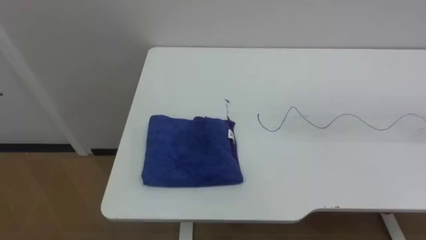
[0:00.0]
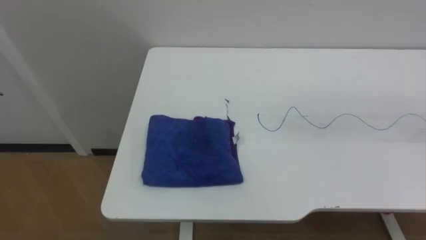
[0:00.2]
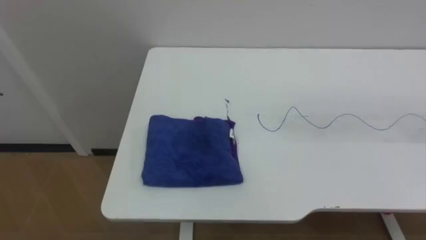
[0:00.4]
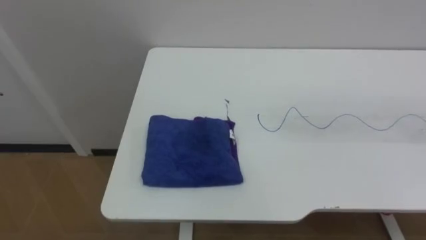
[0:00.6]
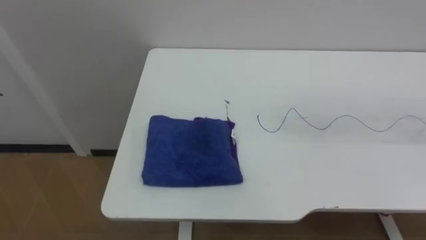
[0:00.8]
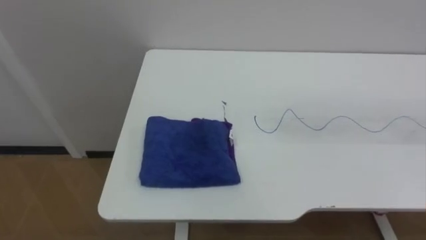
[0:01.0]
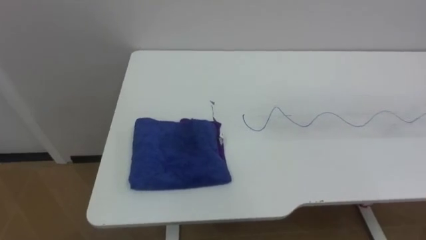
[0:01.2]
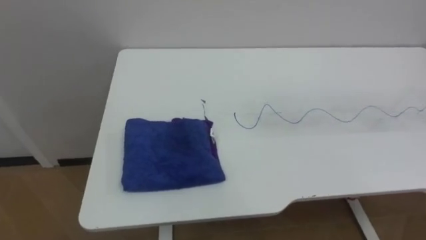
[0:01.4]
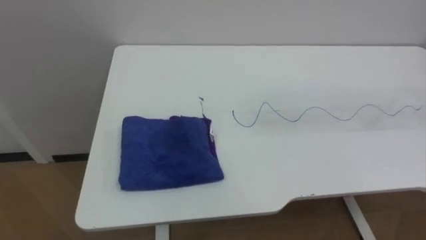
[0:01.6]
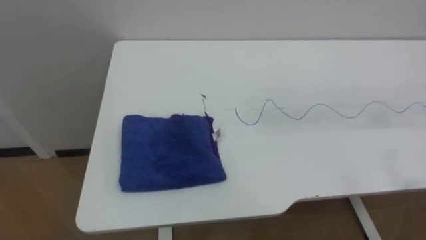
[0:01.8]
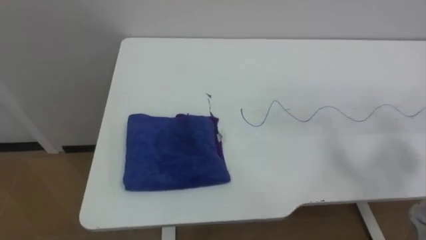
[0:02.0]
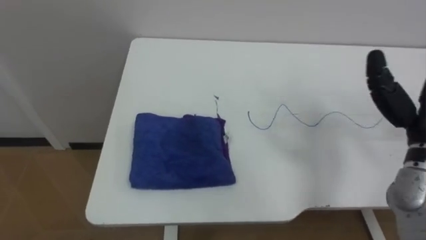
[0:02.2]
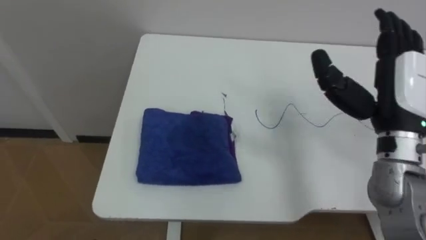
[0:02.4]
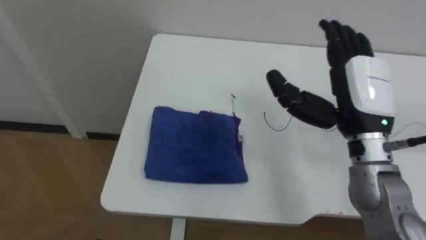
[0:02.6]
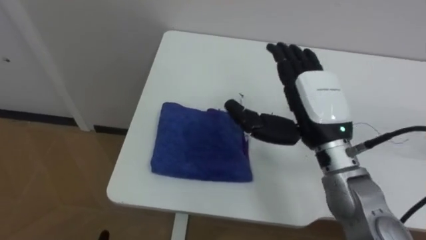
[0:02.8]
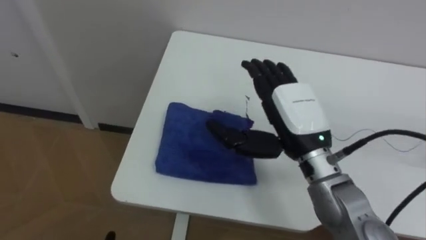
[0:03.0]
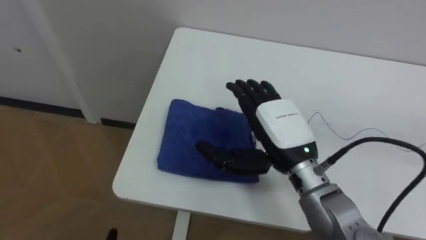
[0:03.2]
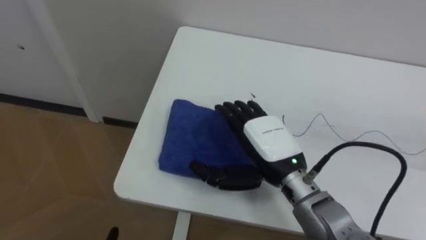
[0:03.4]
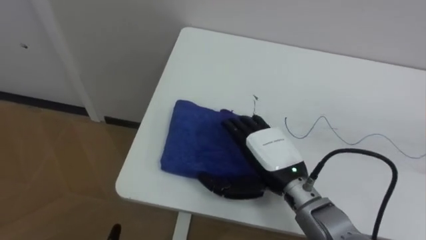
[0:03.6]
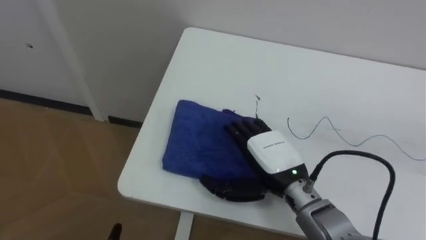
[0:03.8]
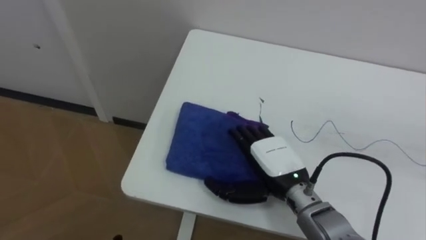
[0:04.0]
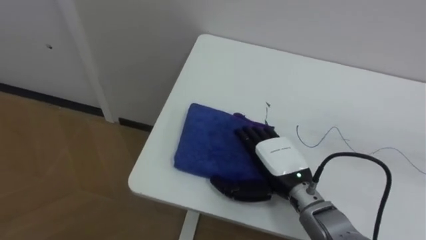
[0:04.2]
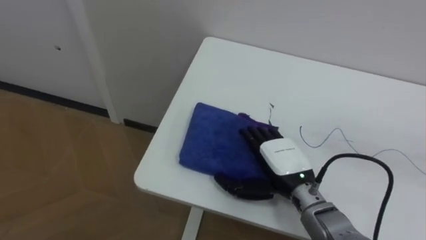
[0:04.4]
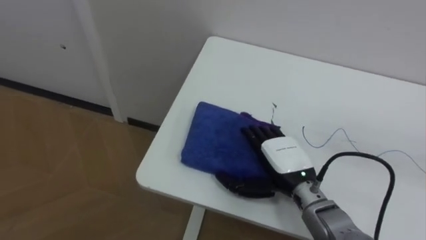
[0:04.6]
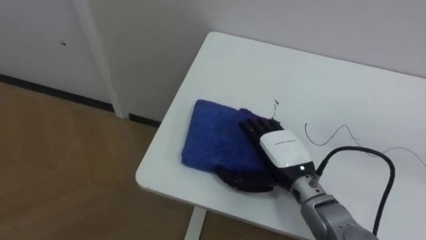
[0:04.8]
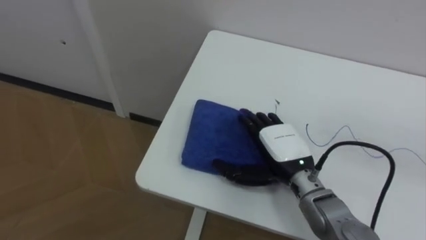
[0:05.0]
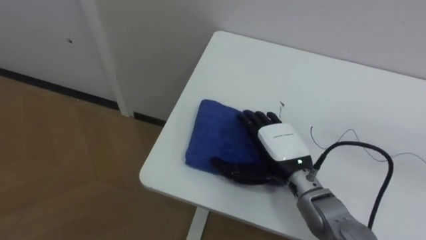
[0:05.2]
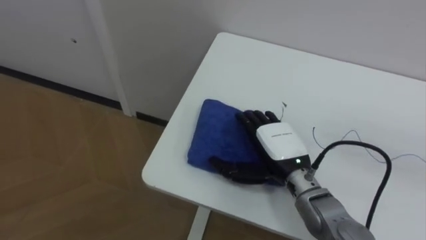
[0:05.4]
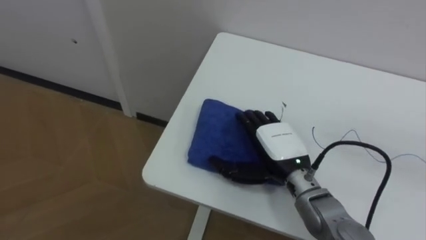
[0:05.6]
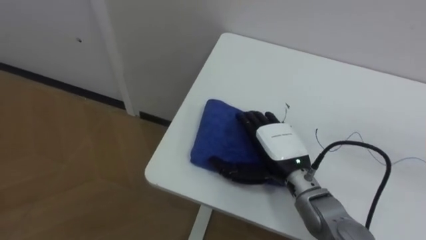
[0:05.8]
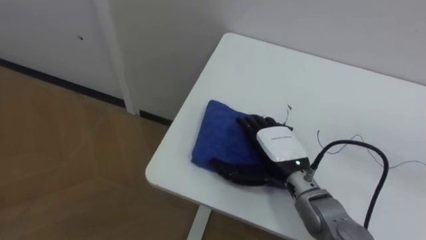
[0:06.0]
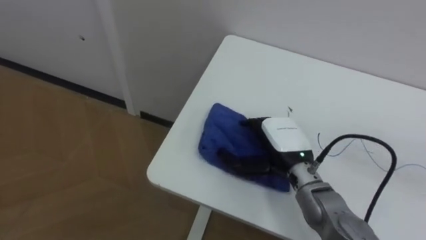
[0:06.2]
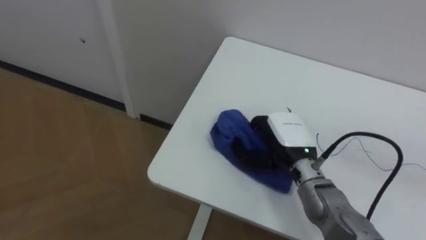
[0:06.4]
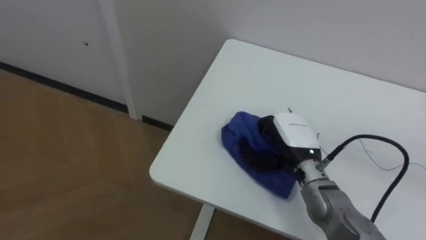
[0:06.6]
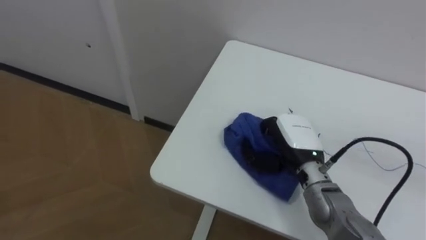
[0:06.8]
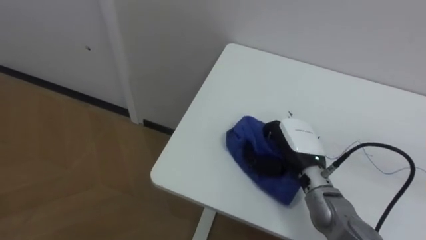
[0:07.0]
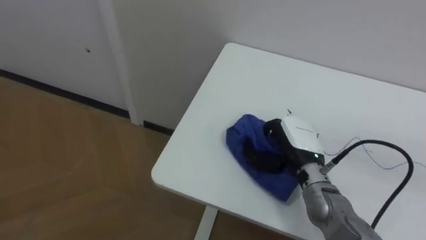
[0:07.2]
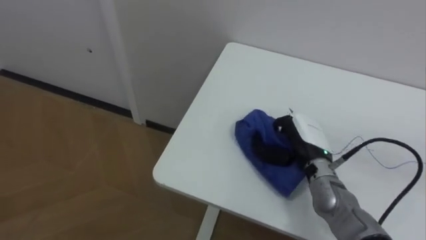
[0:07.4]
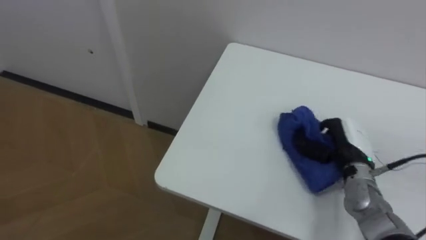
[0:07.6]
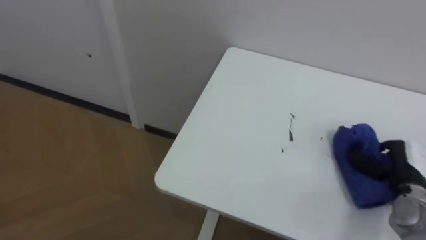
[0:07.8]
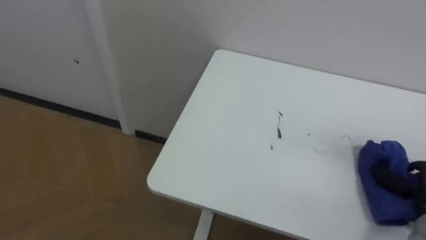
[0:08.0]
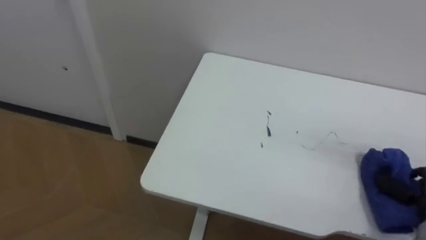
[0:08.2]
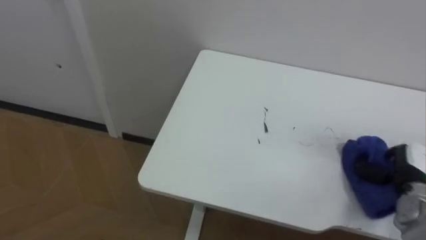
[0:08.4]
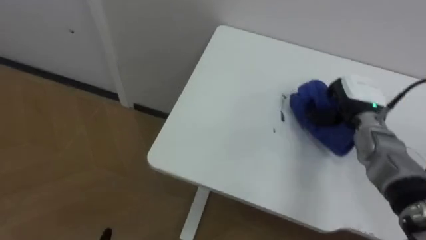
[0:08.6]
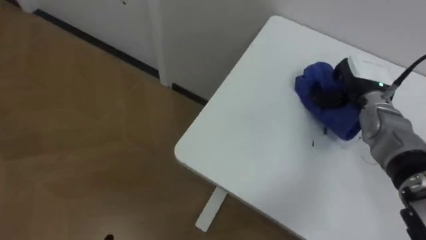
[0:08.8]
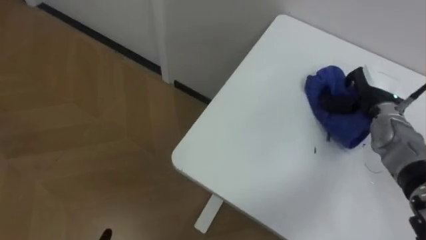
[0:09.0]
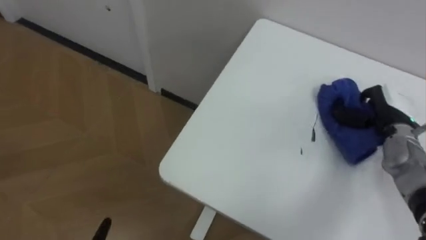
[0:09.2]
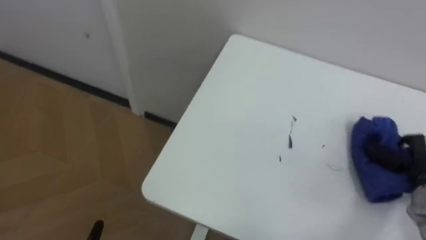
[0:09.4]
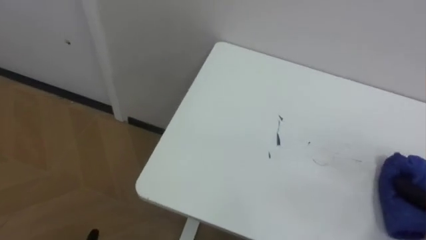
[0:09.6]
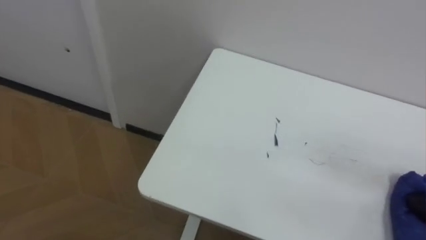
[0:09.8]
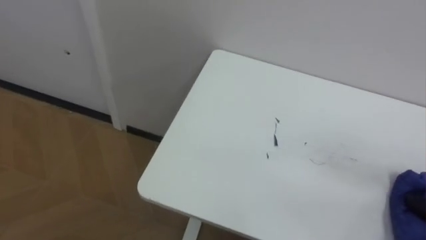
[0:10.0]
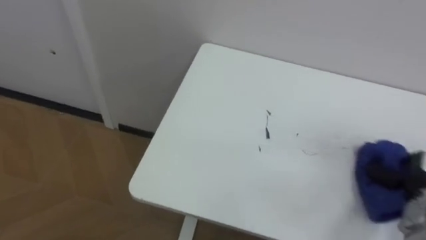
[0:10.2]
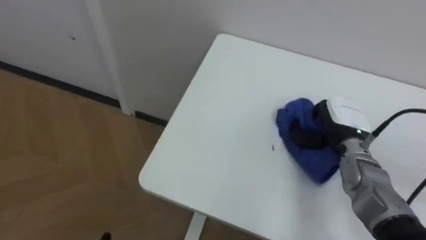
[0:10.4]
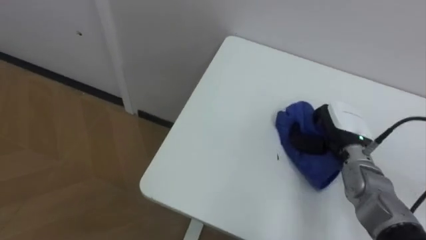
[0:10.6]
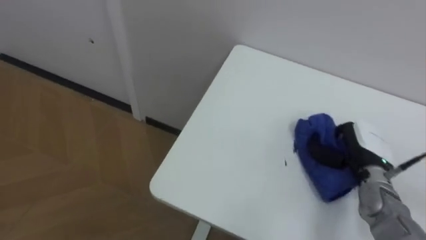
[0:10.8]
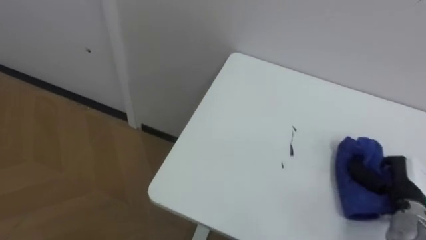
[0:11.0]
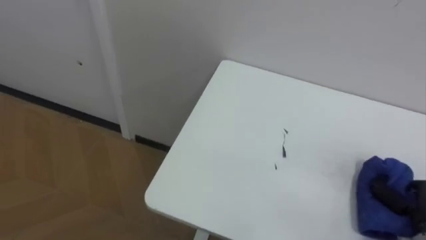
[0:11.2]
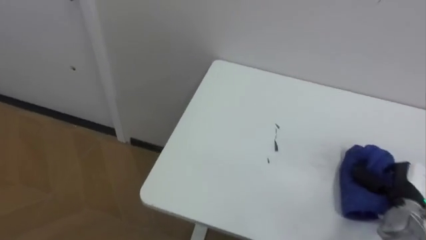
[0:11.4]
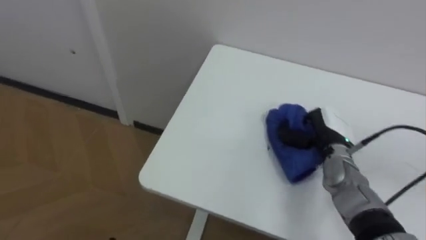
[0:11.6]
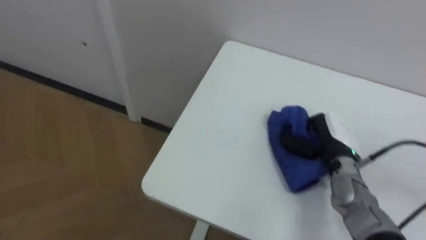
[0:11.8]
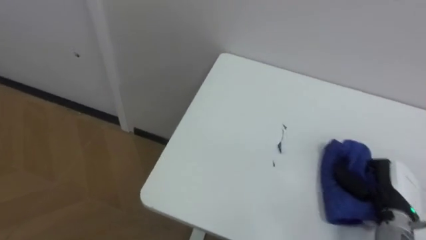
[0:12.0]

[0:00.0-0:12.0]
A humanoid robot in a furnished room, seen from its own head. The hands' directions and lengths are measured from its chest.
Task of the whole recording: Wipe the blue pen marks off the table with the rag.
0:03.0 to 0:04.4: The right hand goes some 15 cm downward.
0:06.0 to 0:07.6: The right hand goes about 15 cm to the right, and closes up.
0:10.4 to 0:12.0: The right hand swings left and right, about 15 cm each way, with 2 reversals.

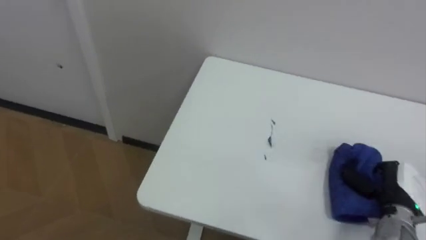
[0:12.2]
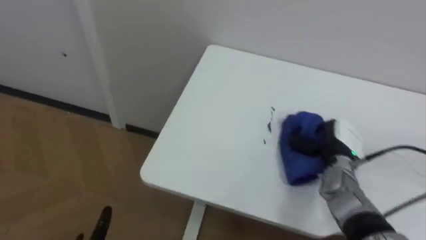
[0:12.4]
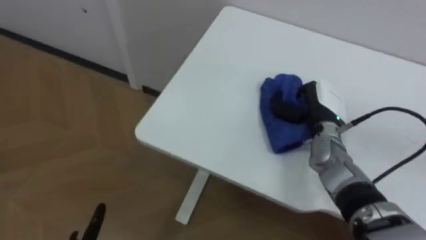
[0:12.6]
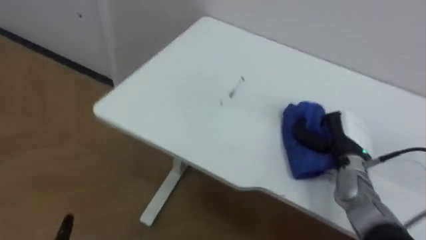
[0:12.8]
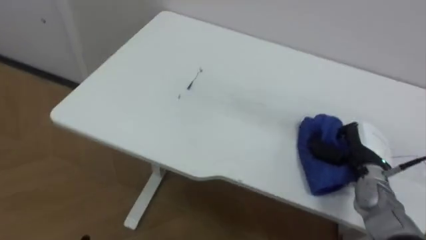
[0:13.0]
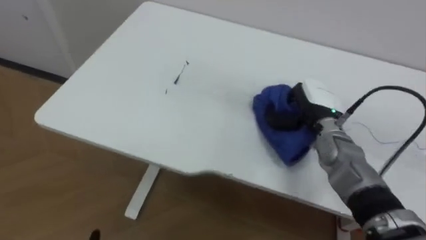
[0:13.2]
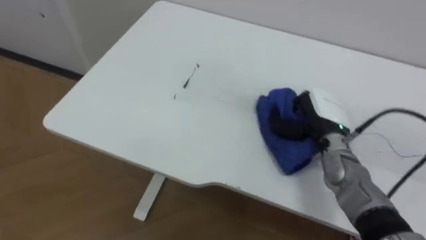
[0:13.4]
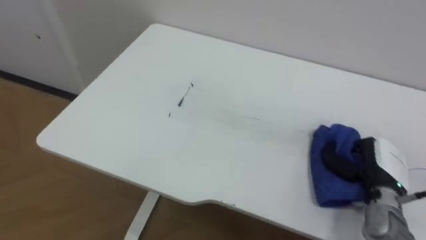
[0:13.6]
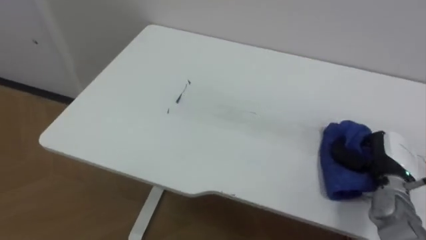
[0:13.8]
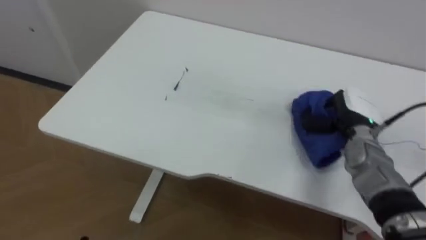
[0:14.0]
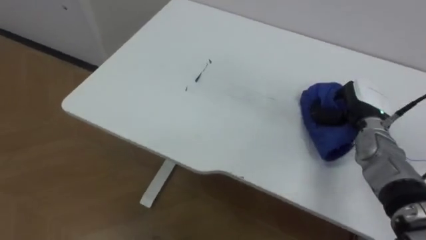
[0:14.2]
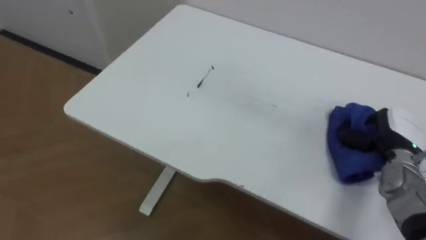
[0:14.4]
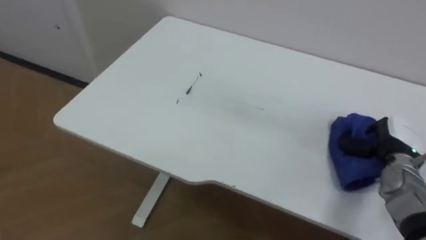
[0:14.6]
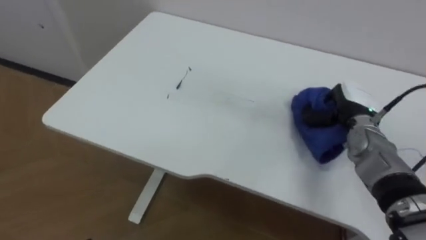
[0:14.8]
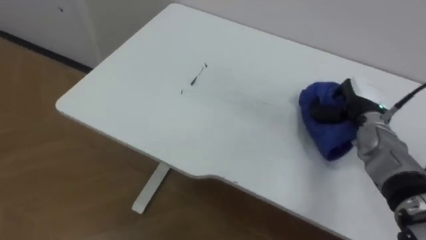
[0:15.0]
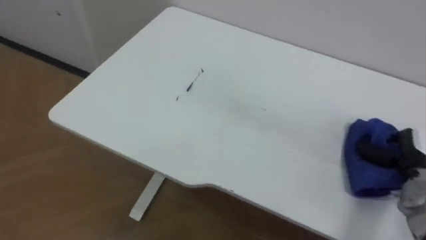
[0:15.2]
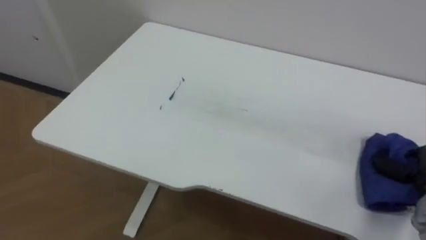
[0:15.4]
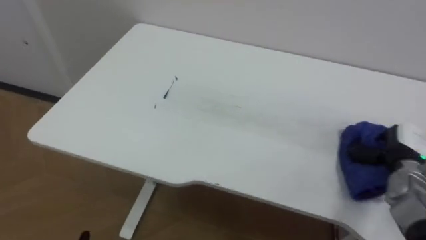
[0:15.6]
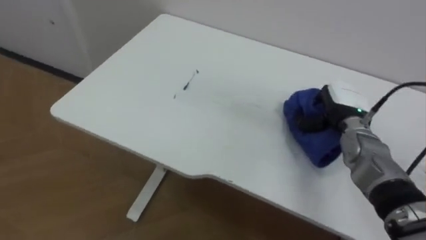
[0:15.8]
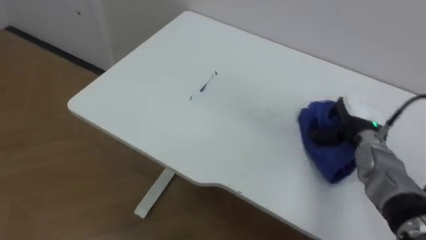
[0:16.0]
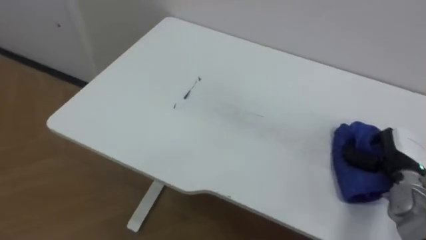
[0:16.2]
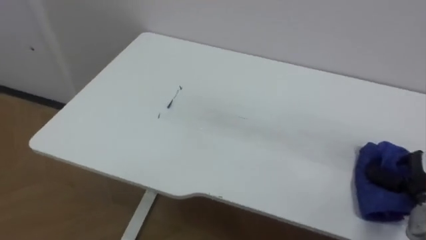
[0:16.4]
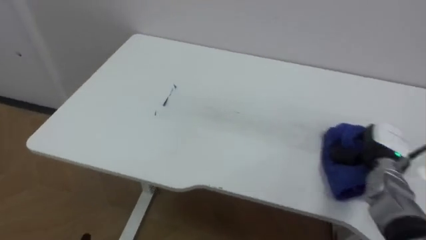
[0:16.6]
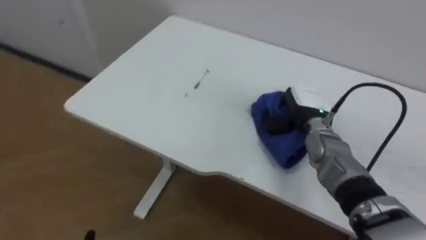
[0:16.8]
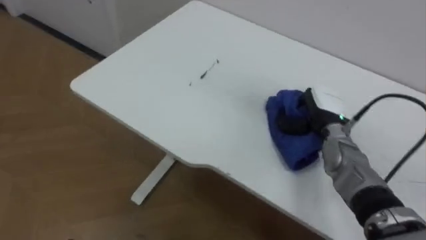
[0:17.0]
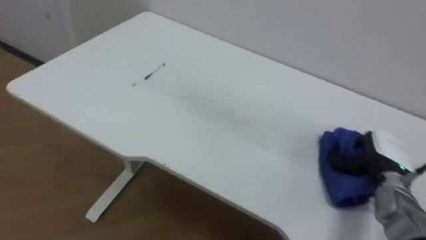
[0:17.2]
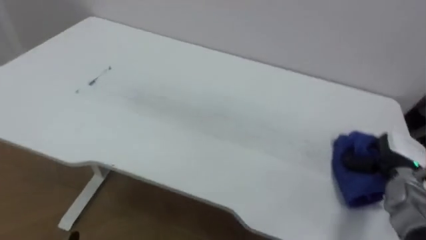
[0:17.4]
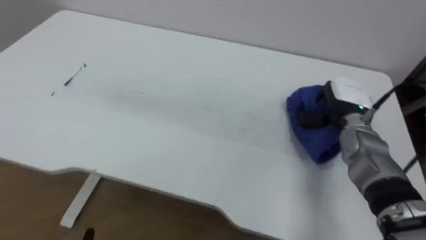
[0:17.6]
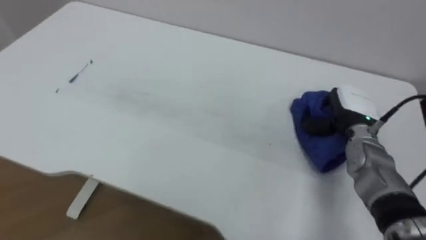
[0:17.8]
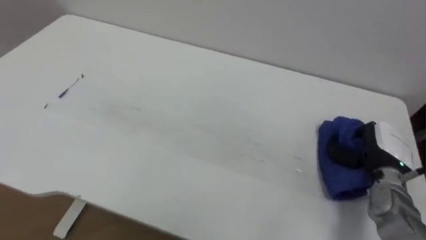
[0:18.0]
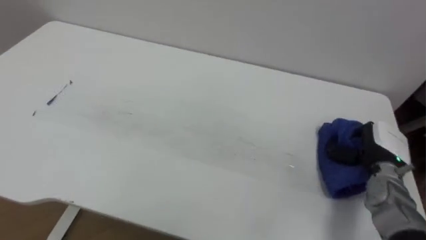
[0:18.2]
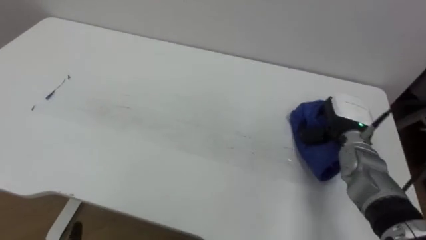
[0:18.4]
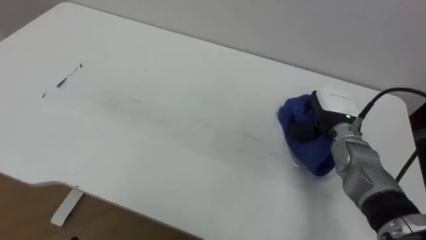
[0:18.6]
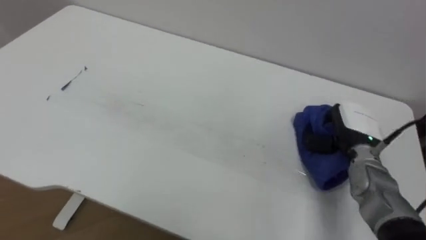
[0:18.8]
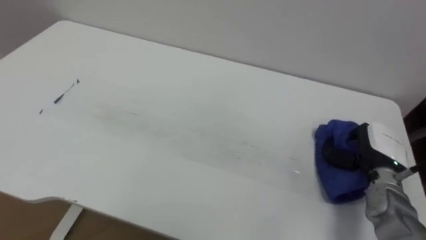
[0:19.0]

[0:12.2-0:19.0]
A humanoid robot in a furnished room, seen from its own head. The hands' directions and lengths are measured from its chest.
Task of the whole recording: Wipe the blue pen marks off the table with the rag.
0:12.2 to 0:13.6: The right hand goes forward and backward, some 15 cm each way, reversing 3 times.
0:13.6 to 0:15.0: The right hand goes forward and backward, roughly 10 cm each way, reversing 2 times.
0:16.2 to 0:17.6: The right hand swings left and right, approximately 20 cm each way, with 3 reversals.
0:17.6 to 0:19.0: The right hand swings left and right, roughly 10 cm each way, with 2 reversals.
